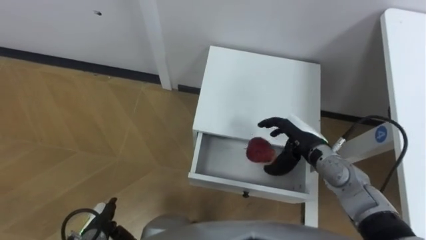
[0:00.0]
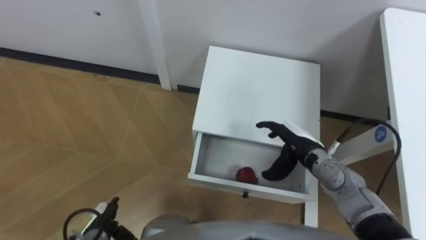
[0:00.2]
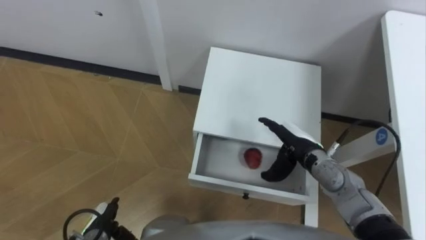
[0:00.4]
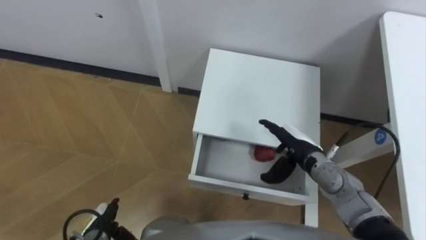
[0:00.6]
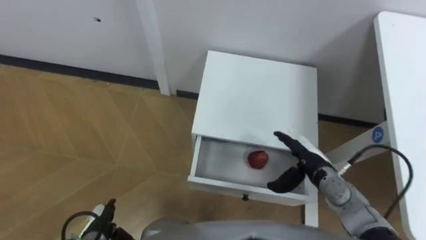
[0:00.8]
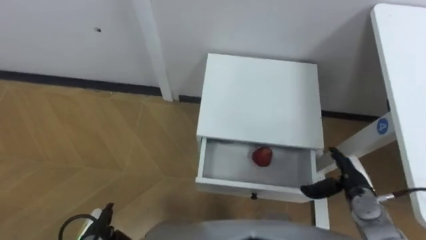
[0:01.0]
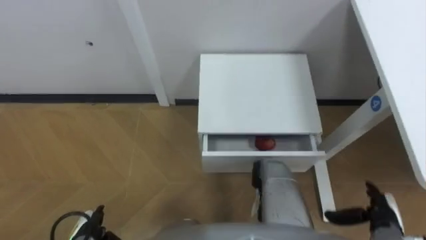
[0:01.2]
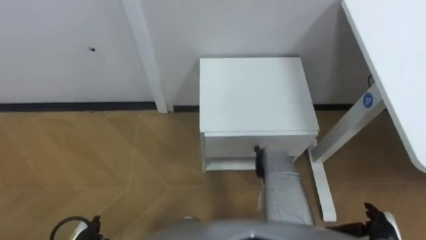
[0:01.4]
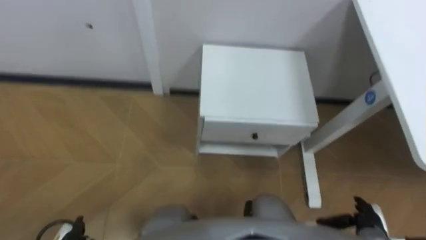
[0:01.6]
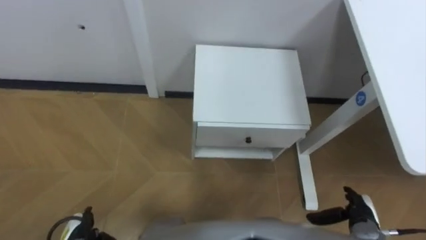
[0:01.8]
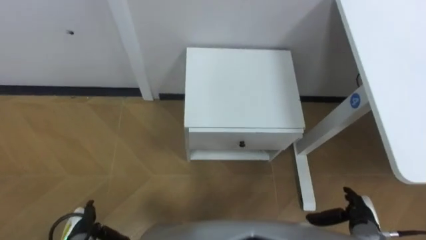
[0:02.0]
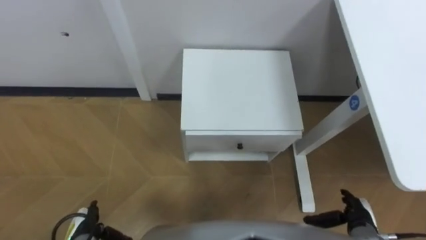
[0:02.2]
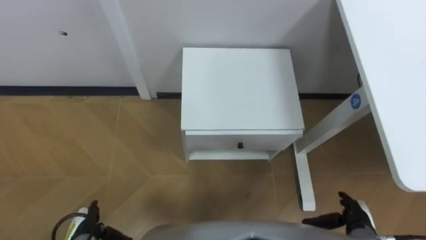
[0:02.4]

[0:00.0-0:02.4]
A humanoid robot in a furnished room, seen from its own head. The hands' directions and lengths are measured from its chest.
Task of the whole recording: Pick up the apple from the table, put it in the drawer, and close the drawer with leg.
0:00.0 to 0:01.2: The right hand heads to the right, backward and downward, covering roughly 25 cm, and opens its fingers.
0:01.2 to 0:02.4: The right hand moves some 5 cm.

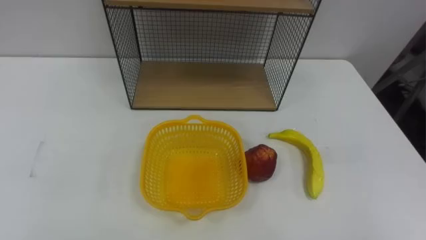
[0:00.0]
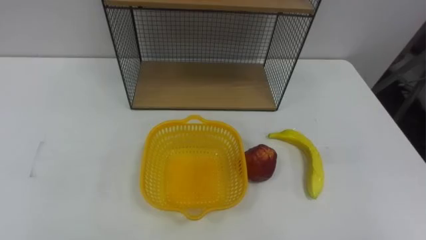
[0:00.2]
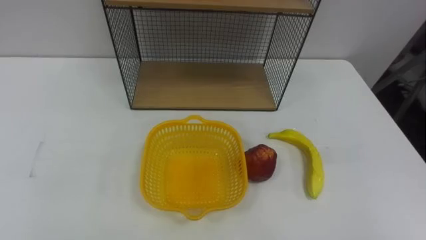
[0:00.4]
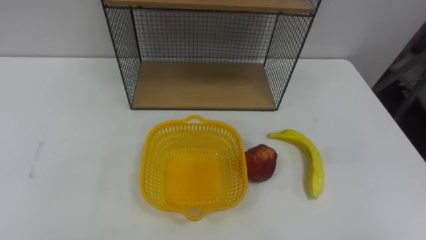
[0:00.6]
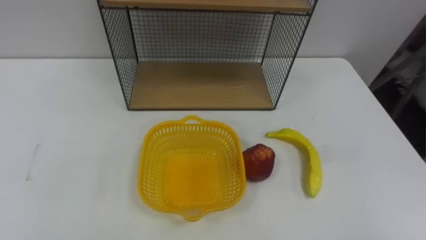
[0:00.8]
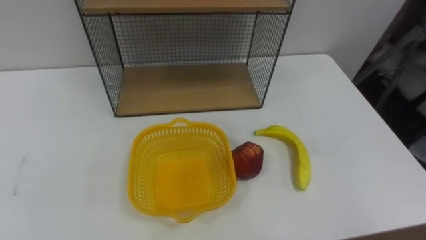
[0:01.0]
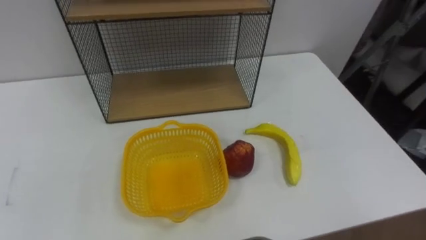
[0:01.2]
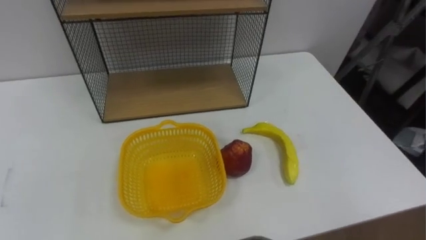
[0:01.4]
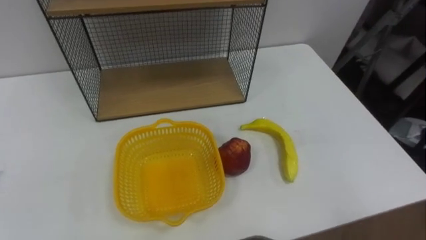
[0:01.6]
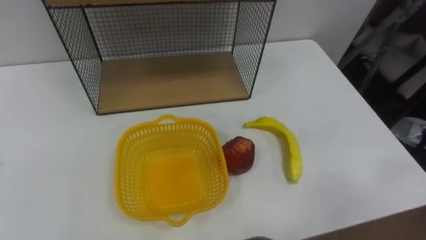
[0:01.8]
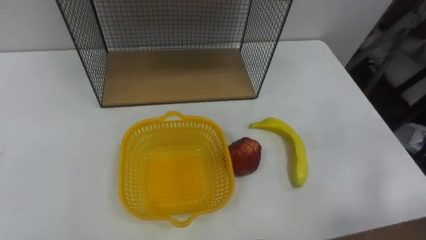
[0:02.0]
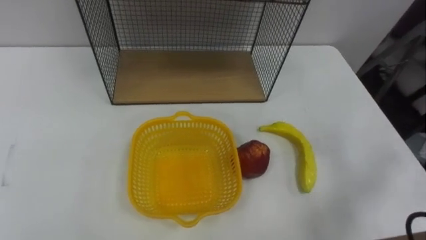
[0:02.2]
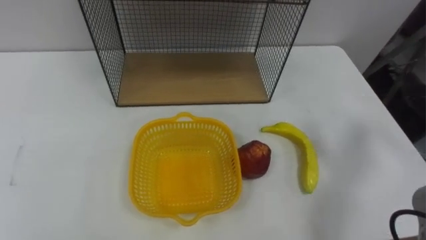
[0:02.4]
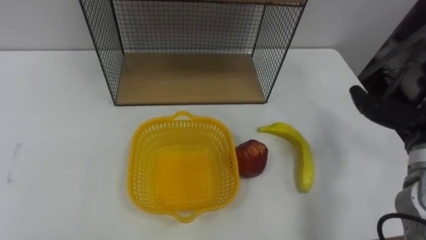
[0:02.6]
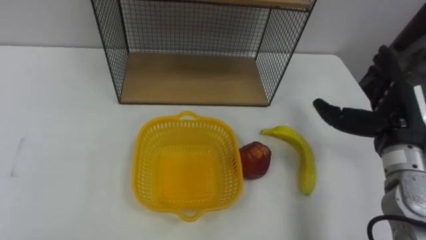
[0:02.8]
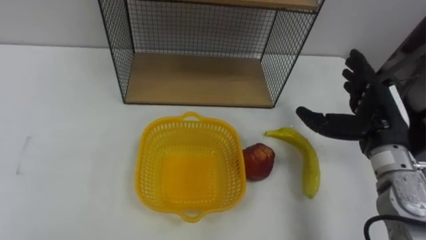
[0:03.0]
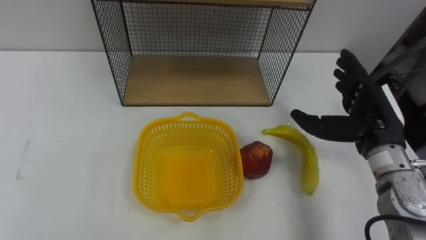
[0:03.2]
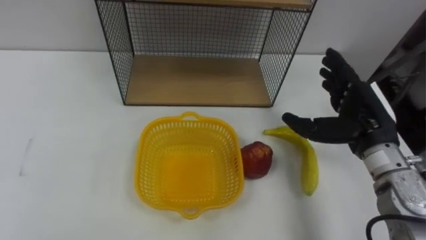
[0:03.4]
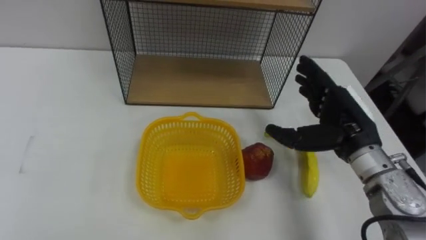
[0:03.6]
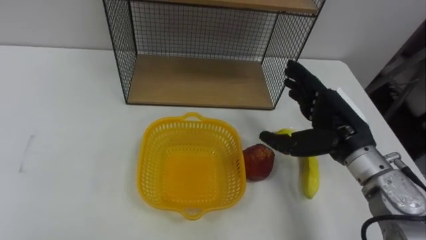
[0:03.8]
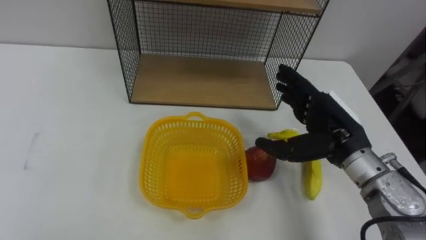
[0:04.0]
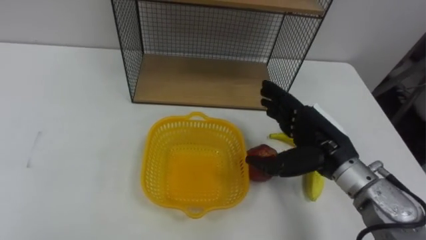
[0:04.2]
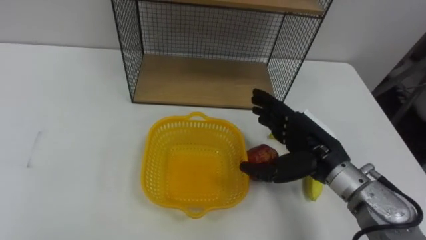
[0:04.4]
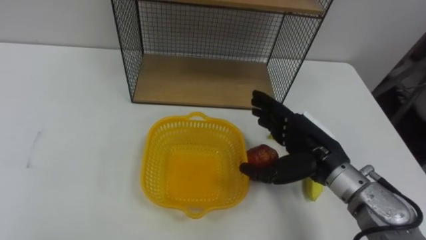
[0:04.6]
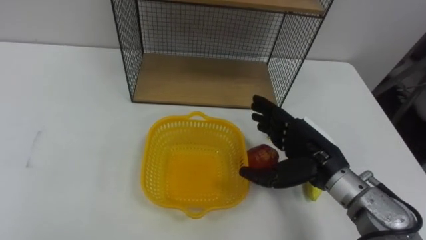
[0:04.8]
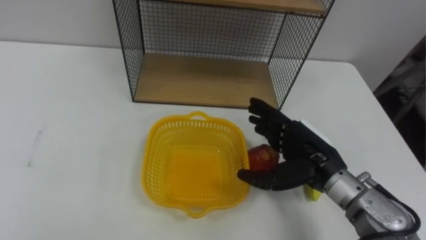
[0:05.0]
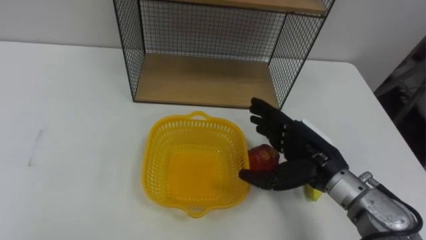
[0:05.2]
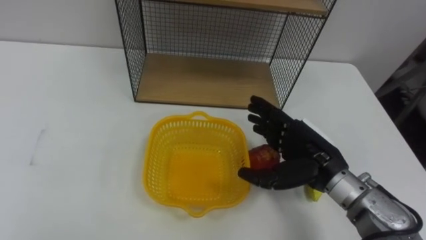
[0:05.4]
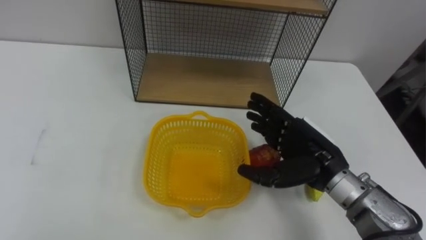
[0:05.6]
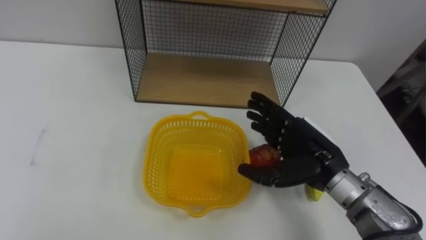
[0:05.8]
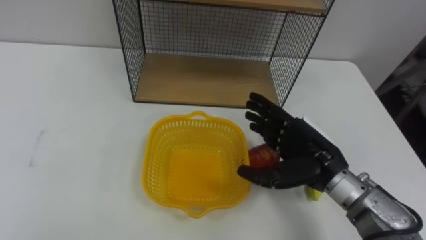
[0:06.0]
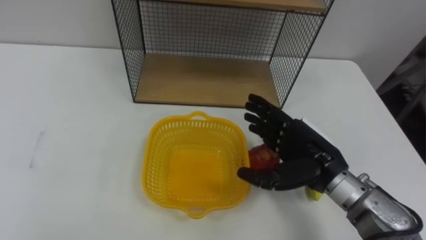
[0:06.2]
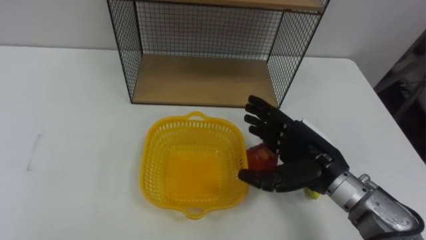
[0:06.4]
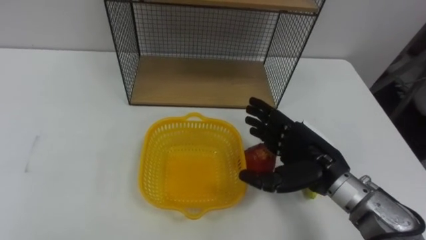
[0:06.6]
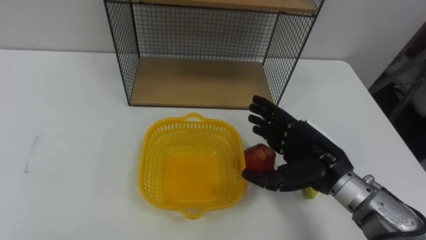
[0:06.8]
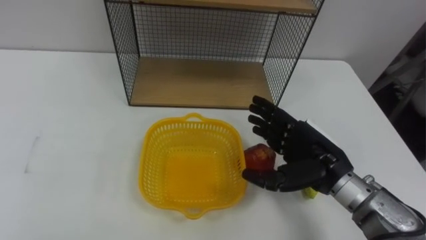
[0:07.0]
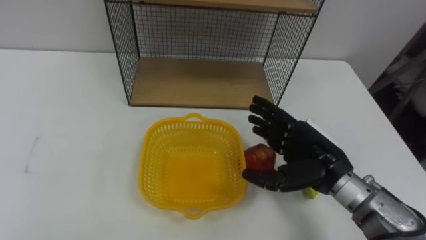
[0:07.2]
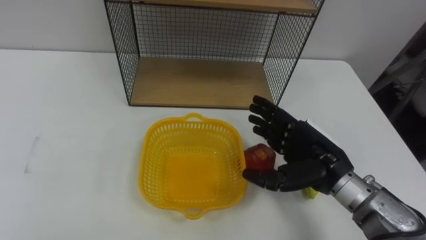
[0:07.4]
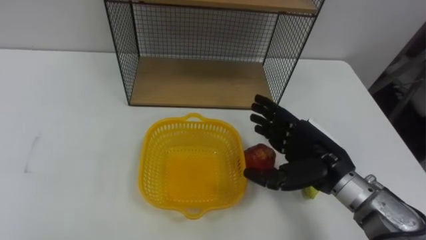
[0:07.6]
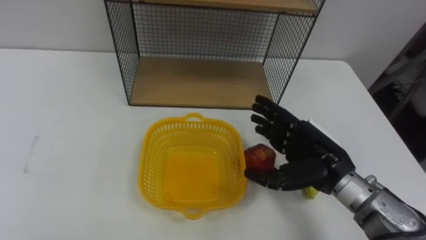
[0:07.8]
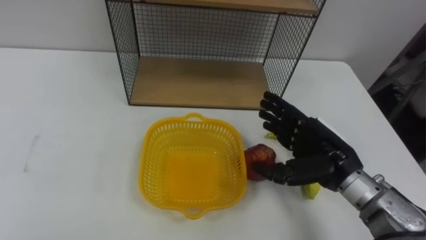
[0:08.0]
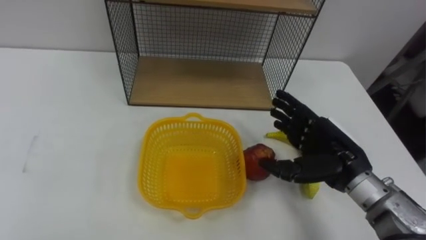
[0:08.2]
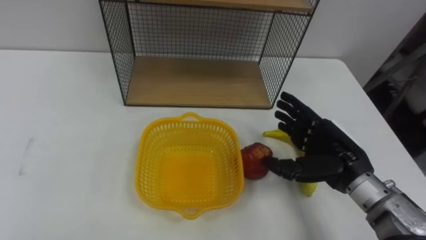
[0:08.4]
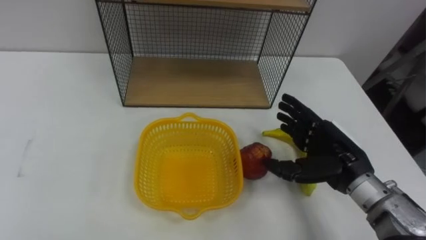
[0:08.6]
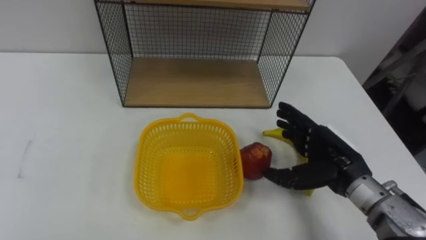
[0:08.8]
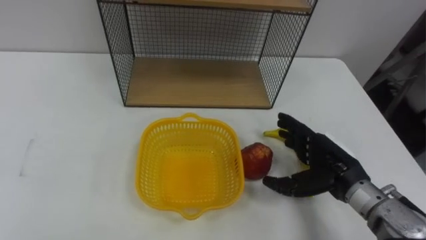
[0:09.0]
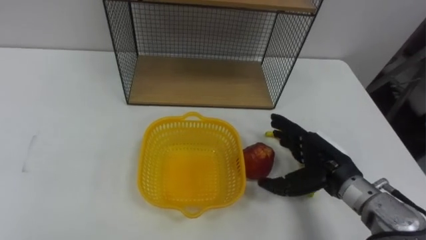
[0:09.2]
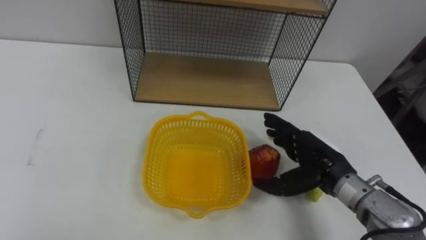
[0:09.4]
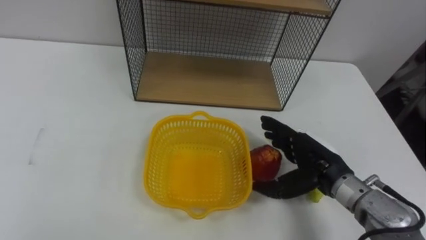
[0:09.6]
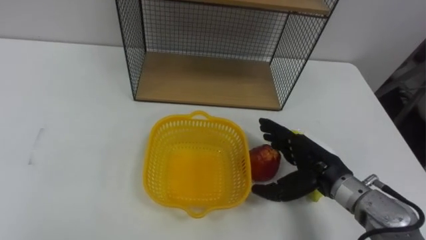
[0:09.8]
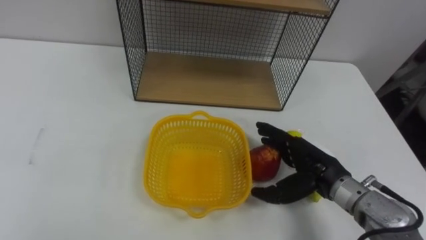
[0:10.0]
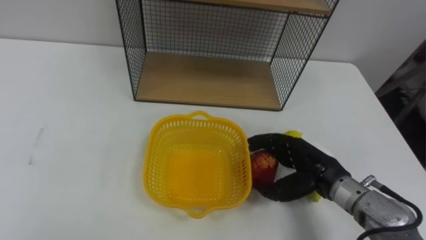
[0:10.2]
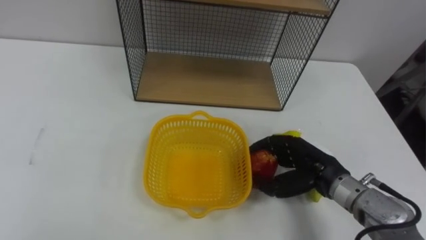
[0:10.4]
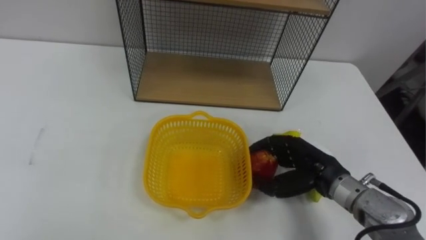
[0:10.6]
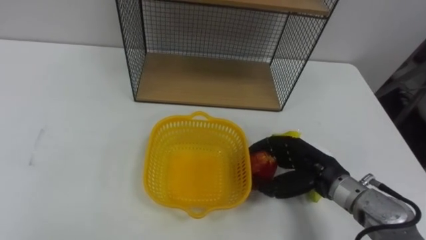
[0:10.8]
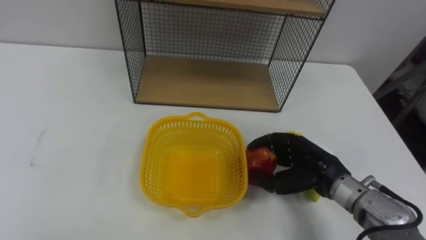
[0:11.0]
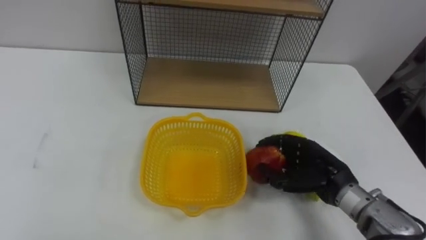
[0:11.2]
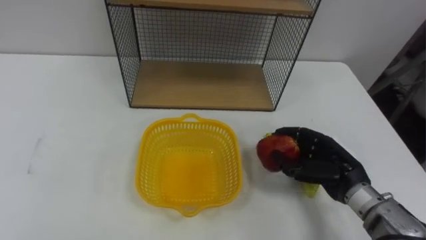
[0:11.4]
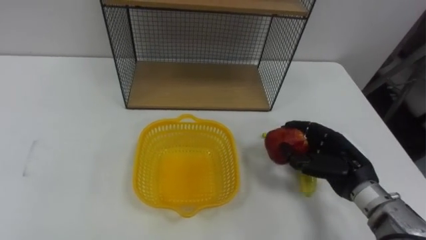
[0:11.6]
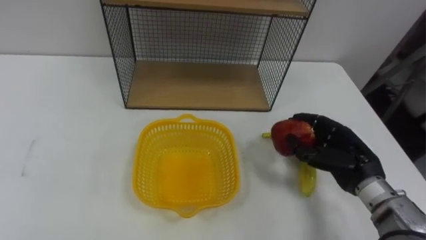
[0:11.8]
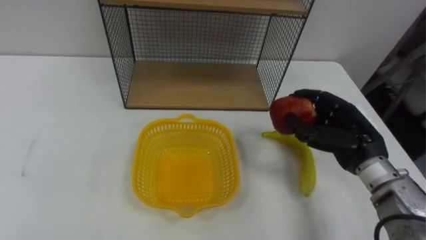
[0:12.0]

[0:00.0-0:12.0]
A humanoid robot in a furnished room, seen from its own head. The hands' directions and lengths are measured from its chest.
Task of the whole recording: Put the fruit on the table into the basket, then place the basket on the shelf.
0:03.0 to 0:04.4: The right hand shifts approximately 10 cm to the left.
0:07.6 to 0:09.0: The right hand moves about 5 cm.
0:09.0 to 0:10.4: The right hand closes.
0:10.4 to 0:12.0: The right hand goes approximately 5 cm to the right.

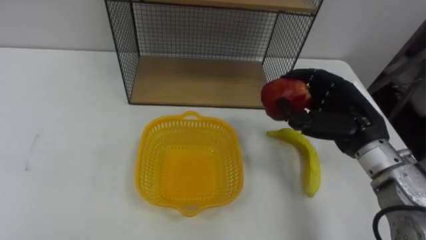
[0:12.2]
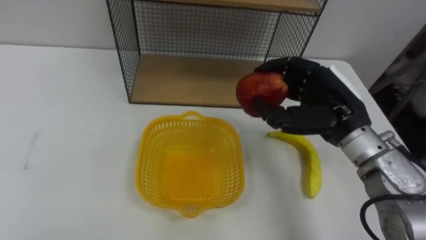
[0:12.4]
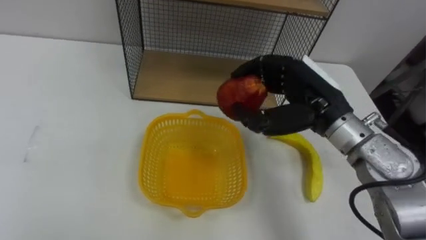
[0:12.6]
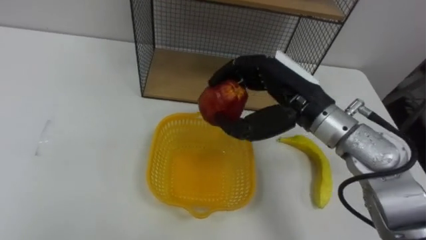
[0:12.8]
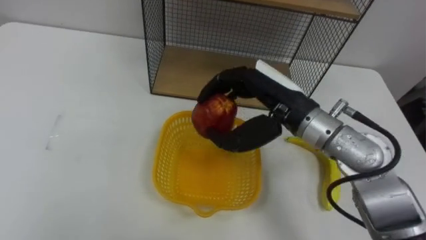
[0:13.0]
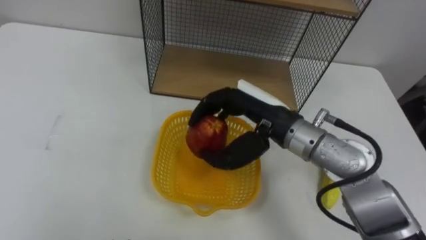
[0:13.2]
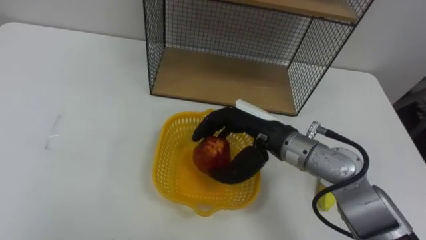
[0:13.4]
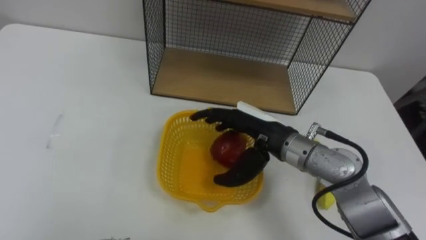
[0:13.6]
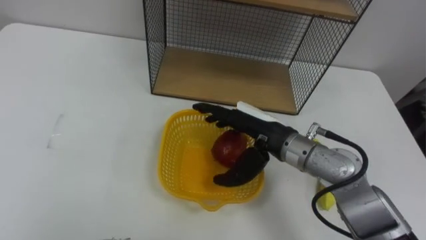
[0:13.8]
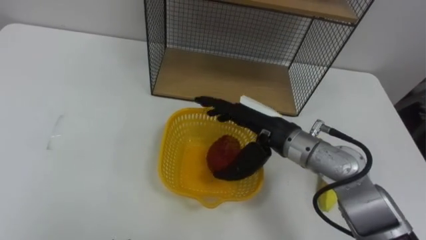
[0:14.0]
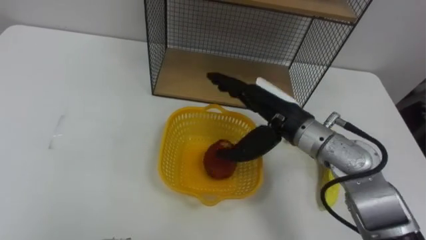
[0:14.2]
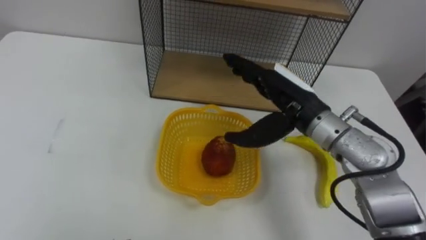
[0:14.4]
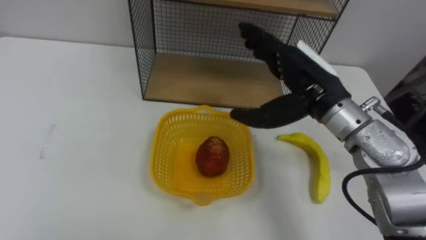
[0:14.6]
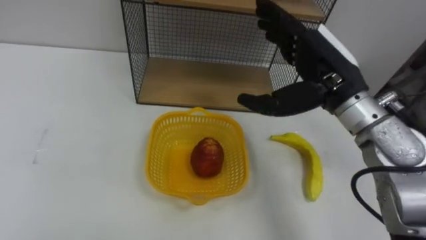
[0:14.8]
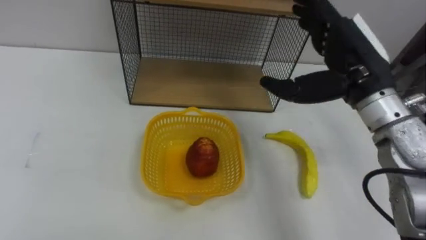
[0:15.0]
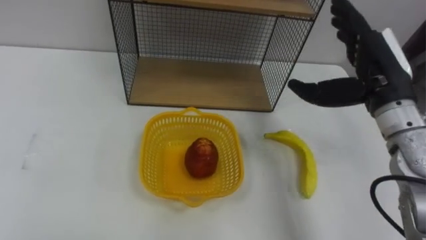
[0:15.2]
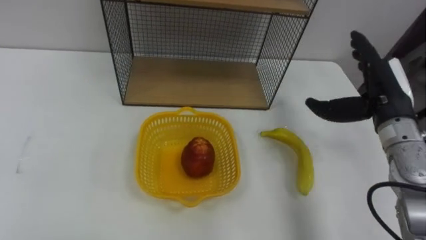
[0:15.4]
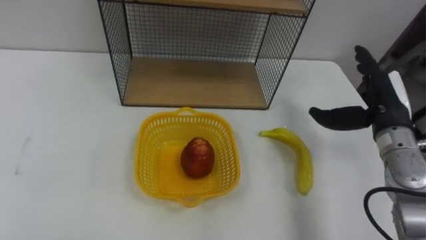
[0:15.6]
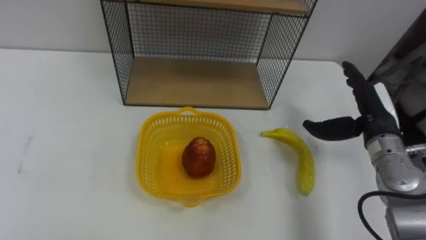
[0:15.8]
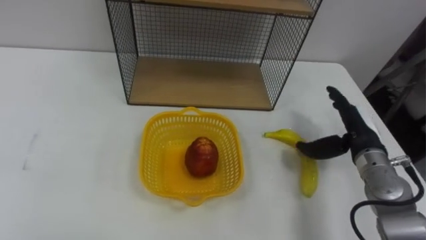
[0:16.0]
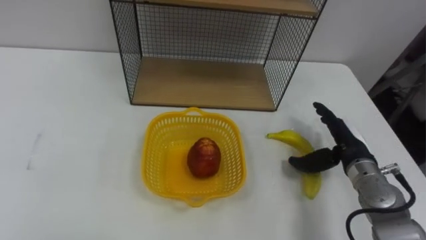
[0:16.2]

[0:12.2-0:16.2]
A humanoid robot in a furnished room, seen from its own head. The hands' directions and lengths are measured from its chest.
Task of the whole recording: Put the fruit on the table into the basket, then place the basket on the shelf.
0:12.2 to 0:13.6: The right hand shifts approximately 15 cm to the left, and opens up.
0:13.6 to 0:14.8: The right hand moves upward and to the right, some 15 cm.
0:14.8 to 0:16.2: The right hand goes about 20 cm downward and to the right.
